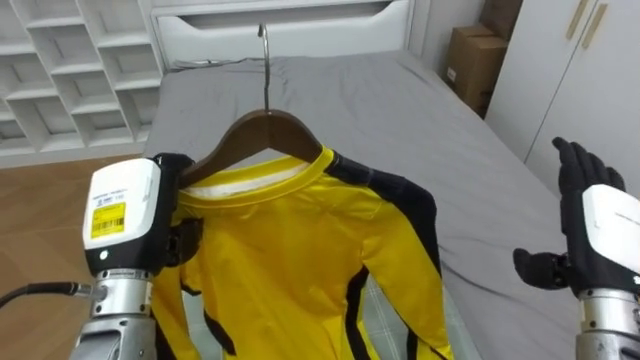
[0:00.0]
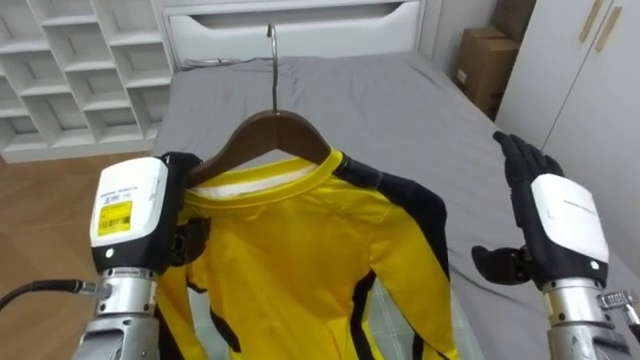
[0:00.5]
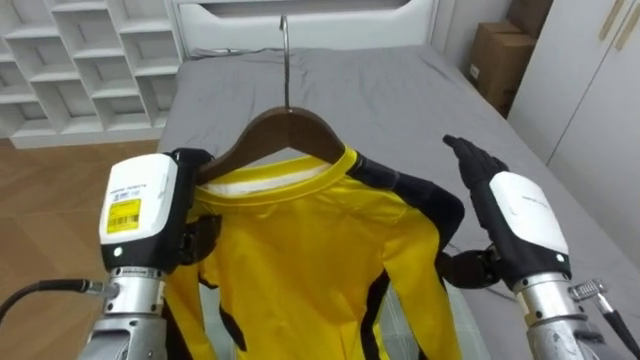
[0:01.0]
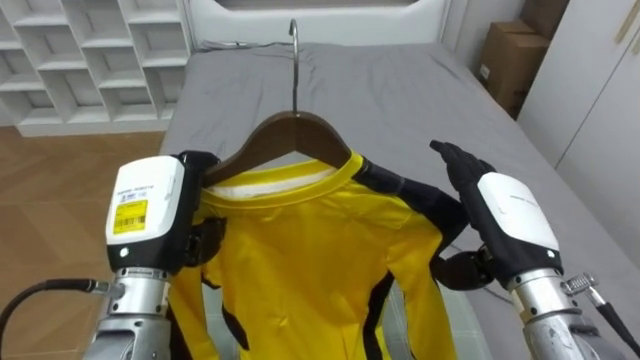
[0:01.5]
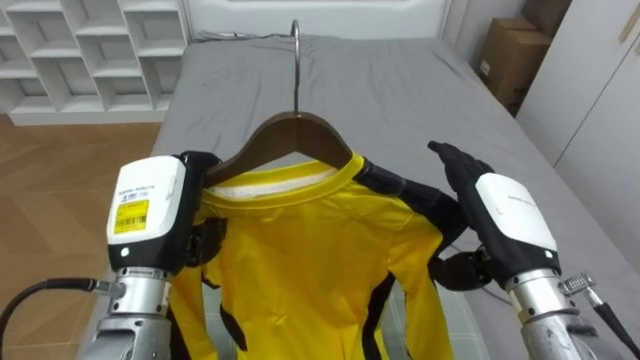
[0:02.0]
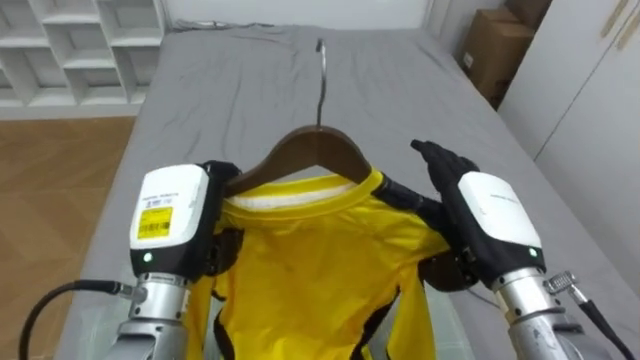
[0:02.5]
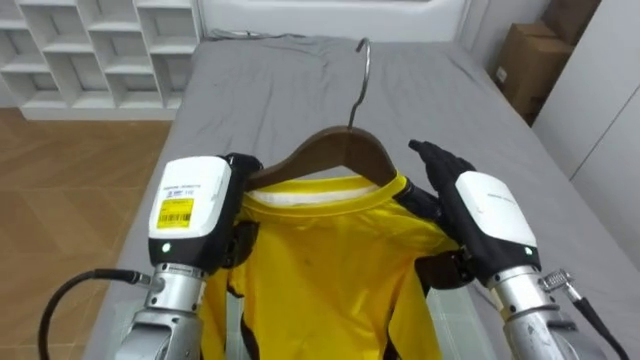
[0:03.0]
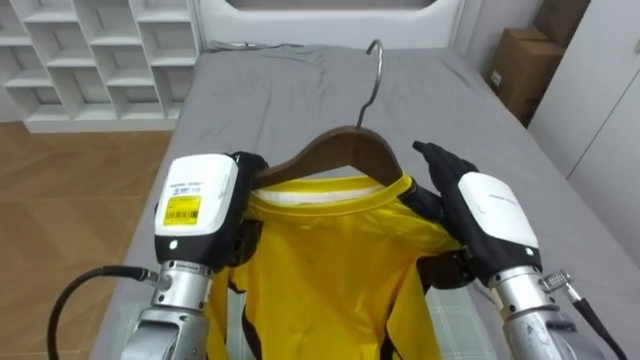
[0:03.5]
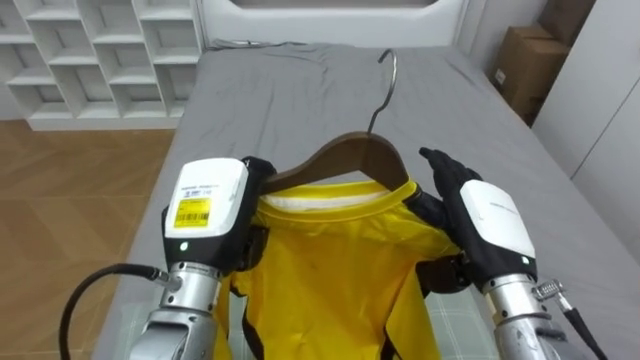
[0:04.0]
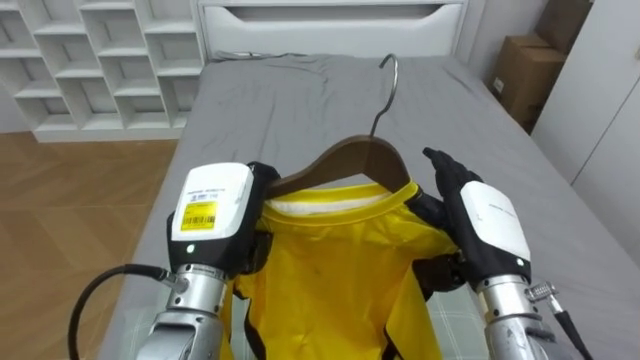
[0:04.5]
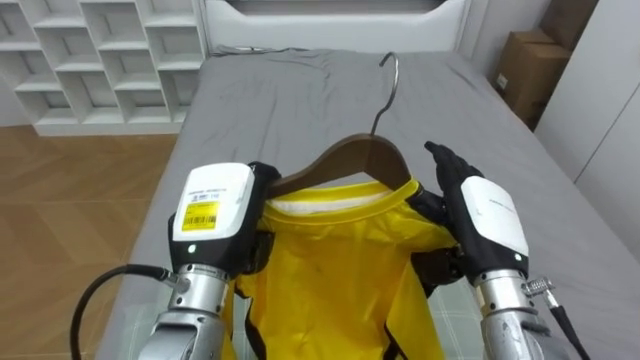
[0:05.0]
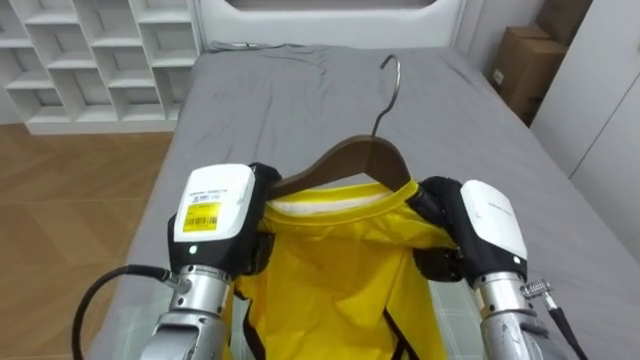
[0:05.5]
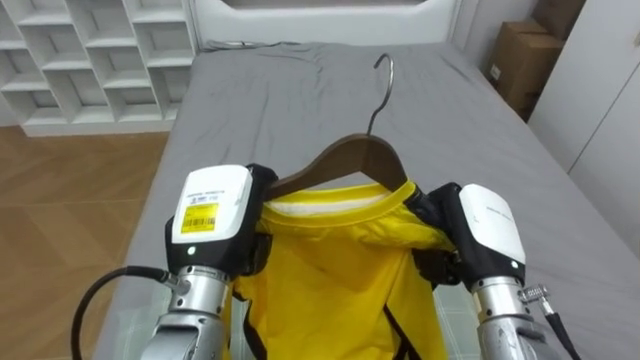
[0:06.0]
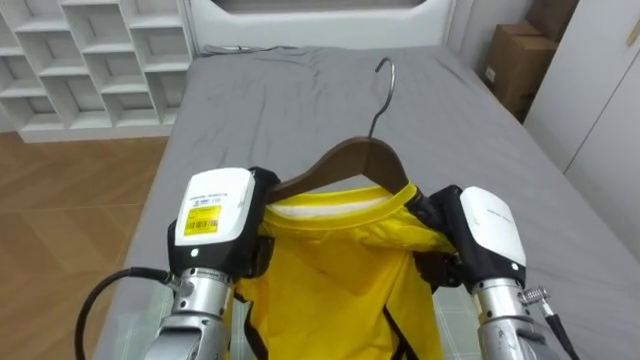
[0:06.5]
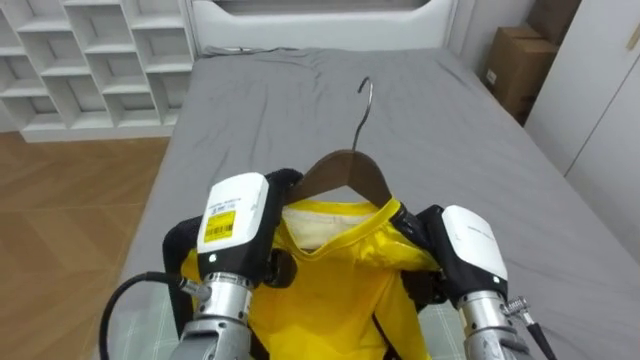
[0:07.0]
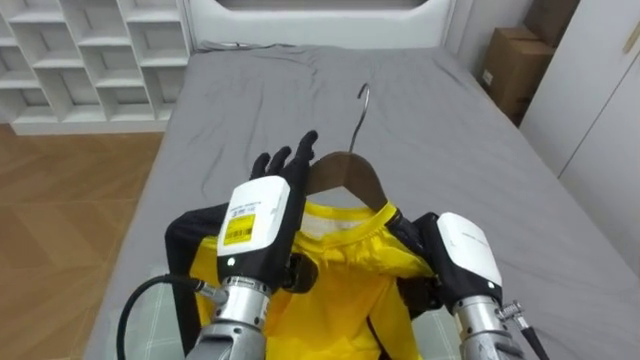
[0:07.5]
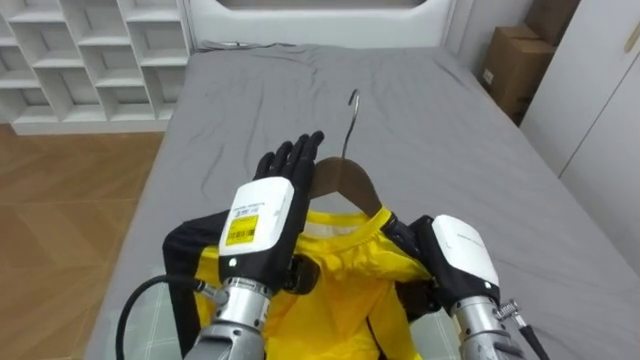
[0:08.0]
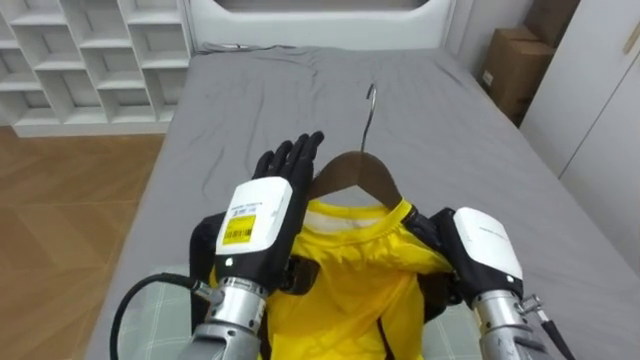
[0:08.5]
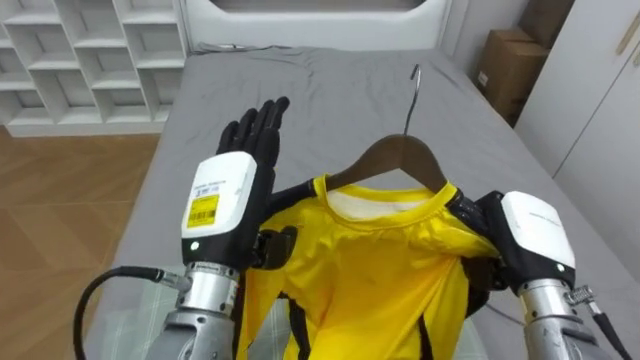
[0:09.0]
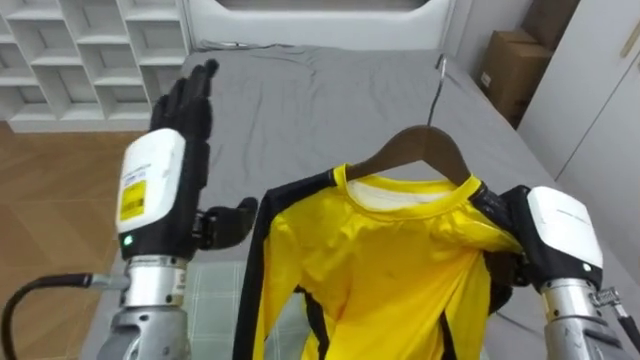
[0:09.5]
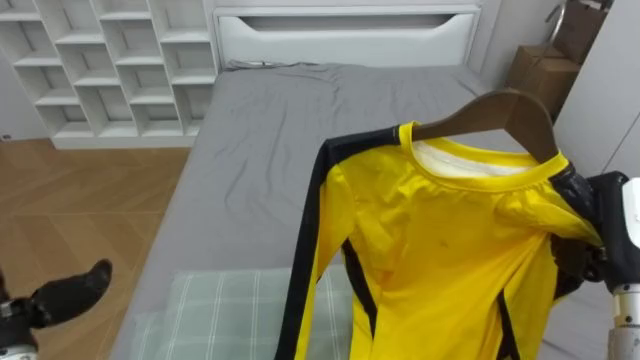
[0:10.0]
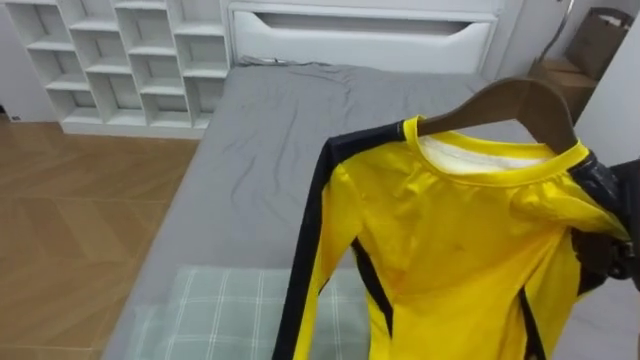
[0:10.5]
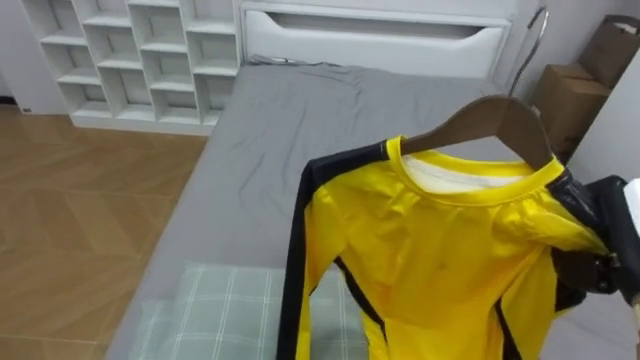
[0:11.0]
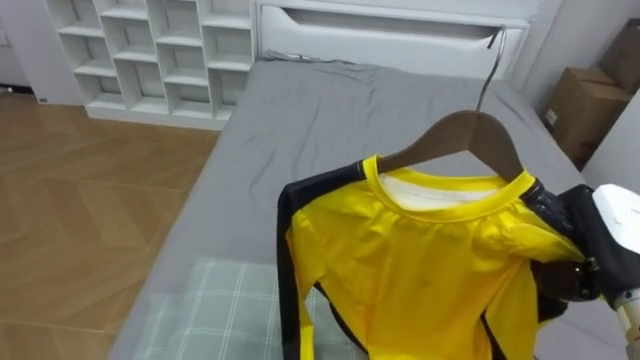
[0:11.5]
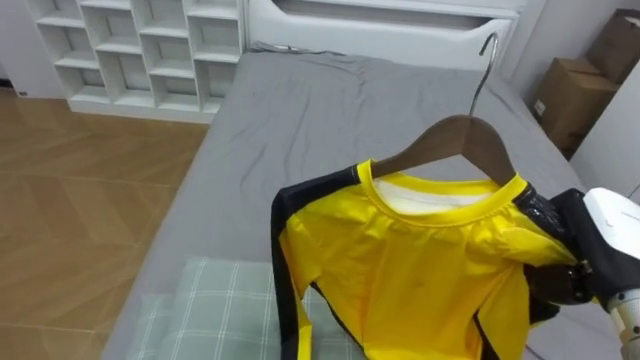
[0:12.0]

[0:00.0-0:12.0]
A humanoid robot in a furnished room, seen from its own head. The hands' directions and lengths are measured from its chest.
Task of the whole recording: Pick up the yellow shirt on the bed and hang it on the clothes rack on the right.
0.0 to 2.0 s: The right hand goes roughly 10 cm to the left.
2.0 to 4.0 s: The left hand travels to the right by some 5 cm.
4.0 to 6.0 s: The right hand closes its fingers.
6.0 to 8.0 s: The left hand opens its fingers.
8.0 to 10.0 s: The right hand goes some 20 cm to the right and upward.

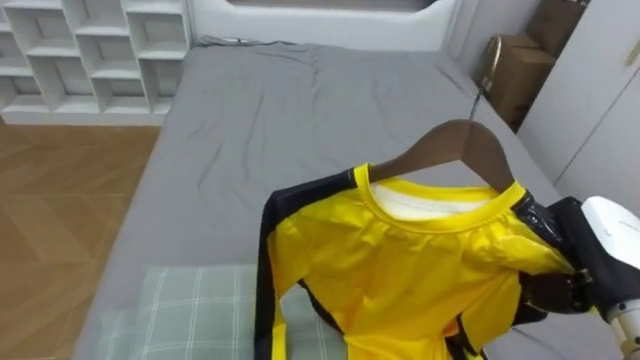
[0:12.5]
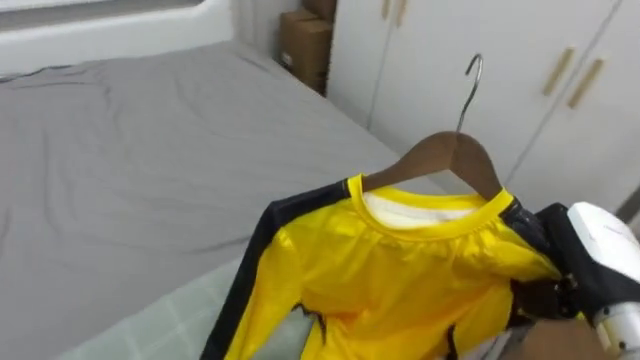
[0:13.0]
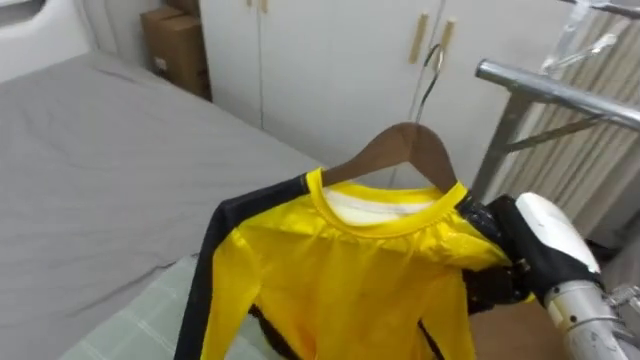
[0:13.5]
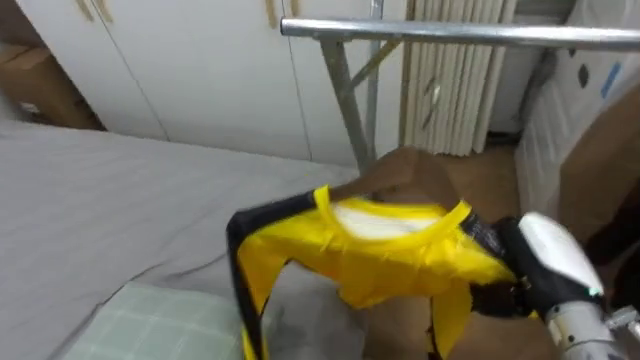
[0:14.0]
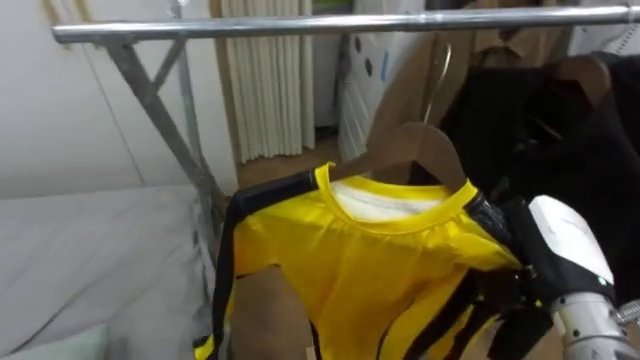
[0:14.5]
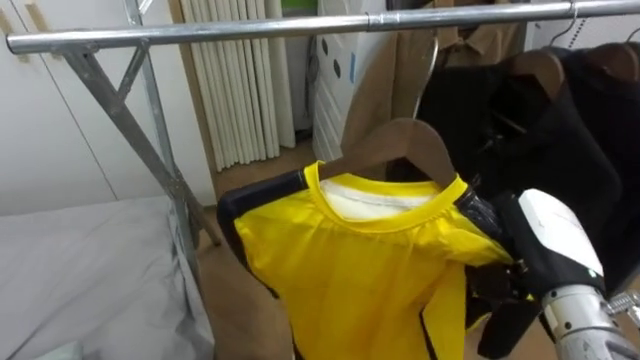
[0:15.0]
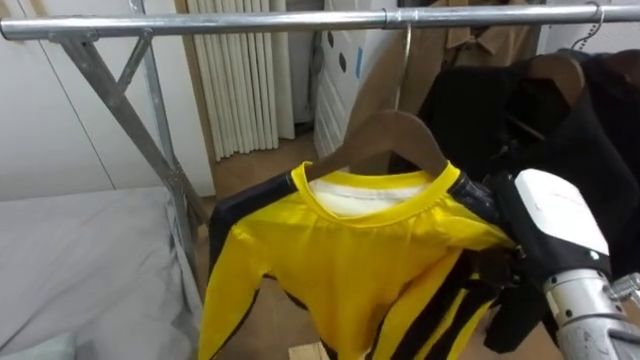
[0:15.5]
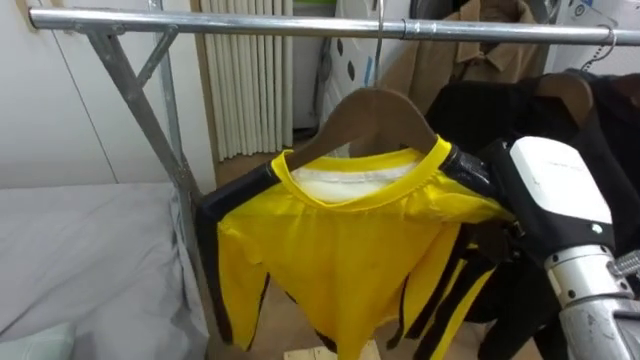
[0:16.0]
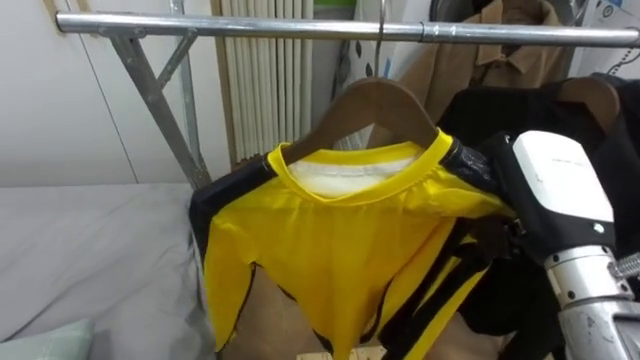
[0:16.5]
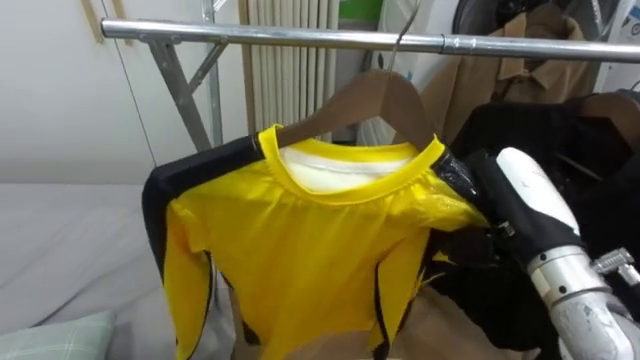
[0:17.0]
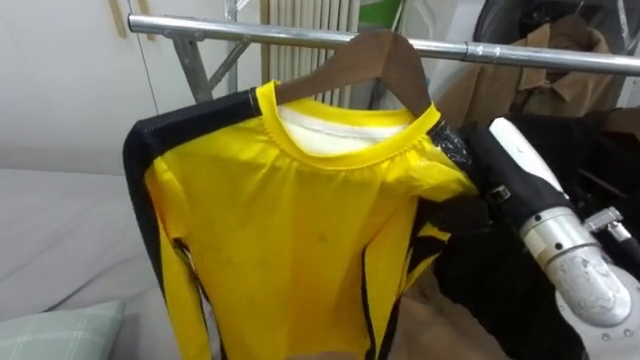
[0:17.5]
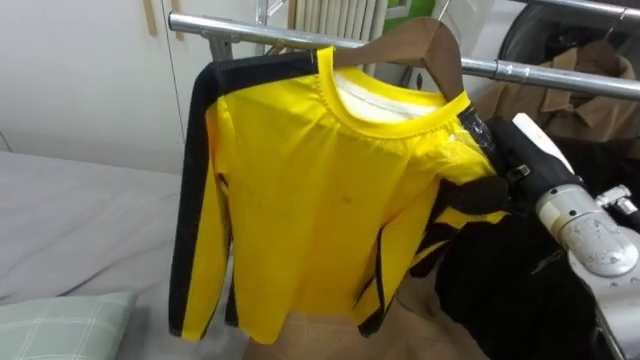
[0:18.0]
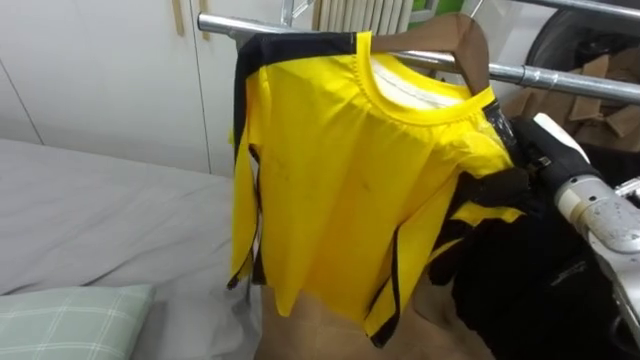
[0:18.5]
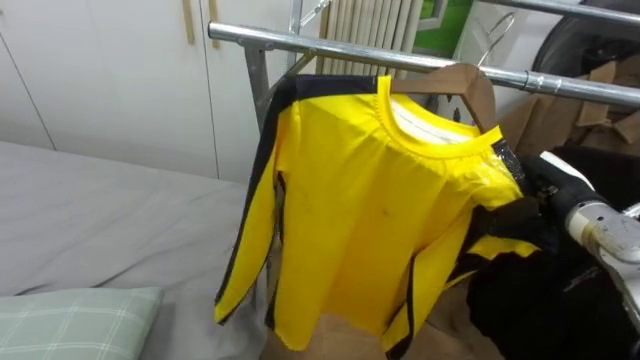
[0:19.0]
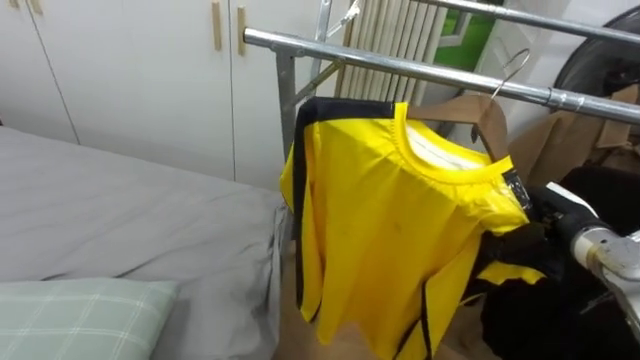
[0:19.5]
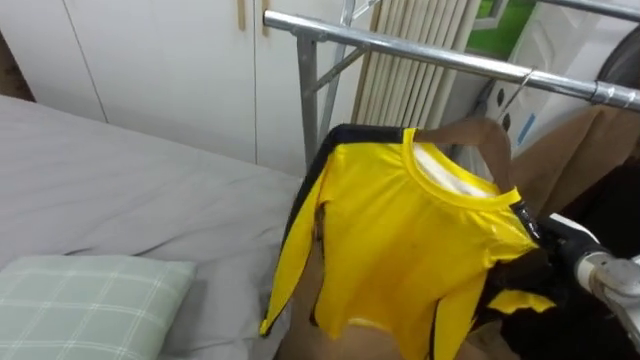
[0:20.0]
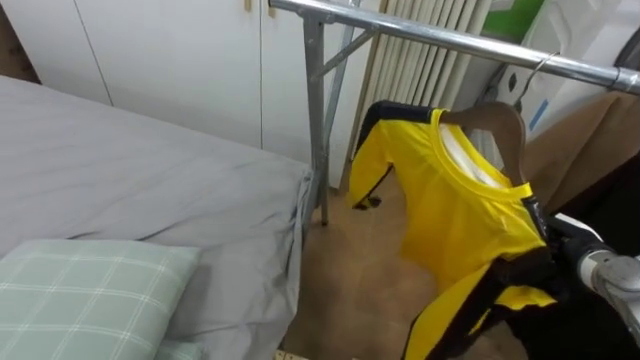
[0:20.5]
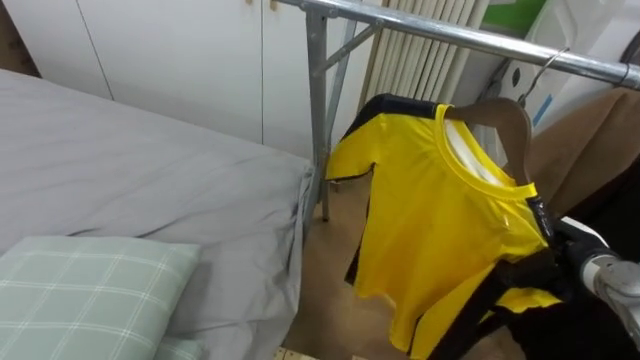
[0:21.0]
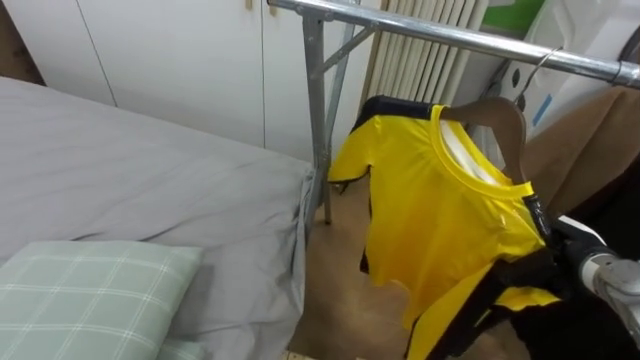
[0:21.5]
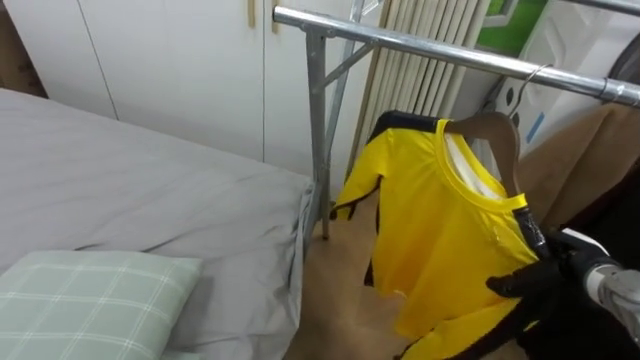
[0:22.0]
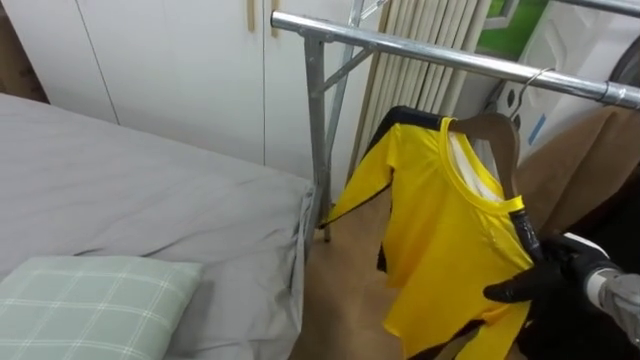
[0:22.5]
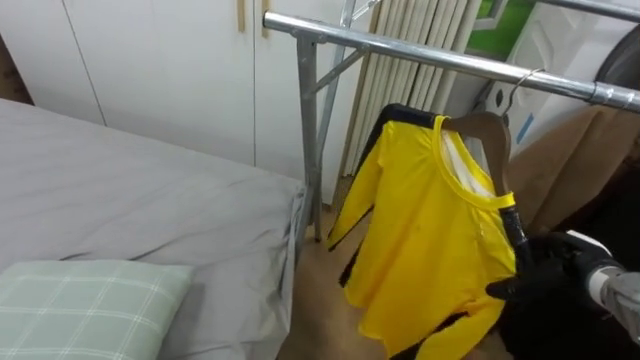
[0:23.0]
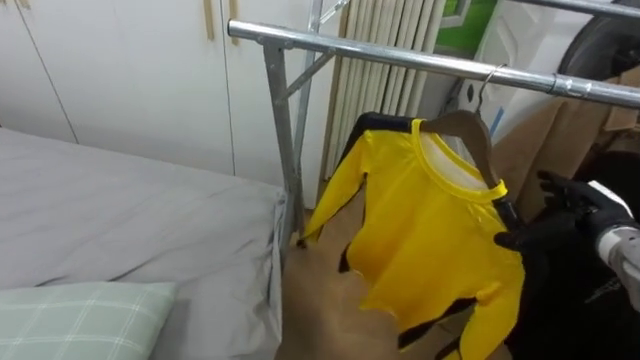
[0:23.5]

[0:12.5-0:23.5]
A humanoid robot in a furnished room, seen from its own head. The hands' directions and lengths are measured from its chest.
Task of the whole recording: Pick up the yellow shirt on the bed and hang it on the clothes rack on the right.
12.5 to 14.5 s: The robot faces some 90 degrees further to its right.
14.5 to 16.0 s: The right hand goes approximately 5 cm upward.
16.0 to 18.0 s: The right hand shifts roughly 10 cm forward.
18.0 to 20.0 s: The right hand moves downward and to the right, roughly 15 cm.
21.5 to 23.5 s: The right hand opens up.
